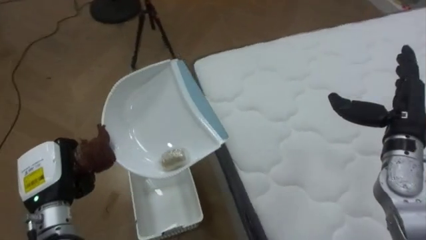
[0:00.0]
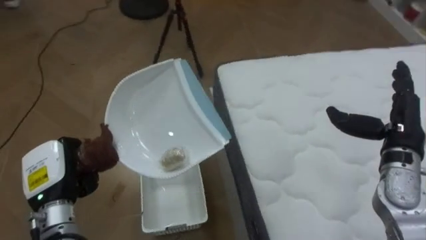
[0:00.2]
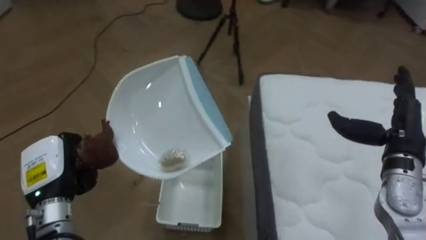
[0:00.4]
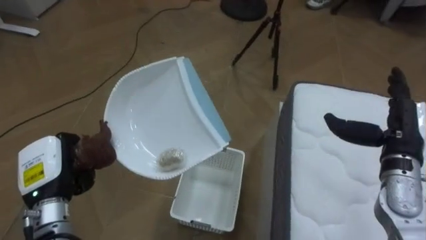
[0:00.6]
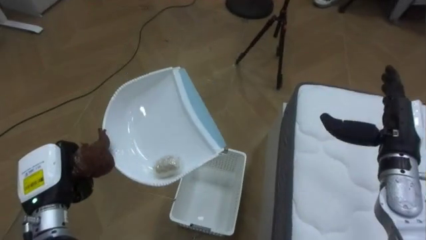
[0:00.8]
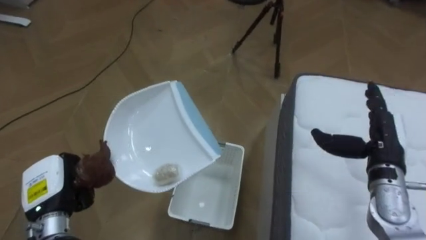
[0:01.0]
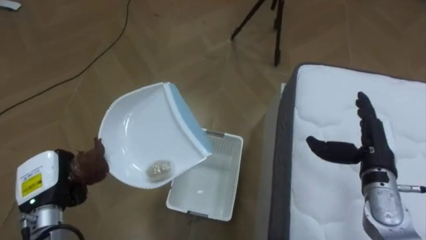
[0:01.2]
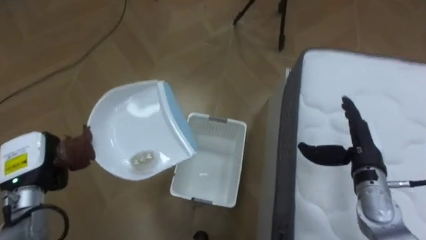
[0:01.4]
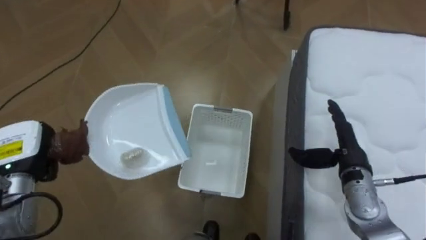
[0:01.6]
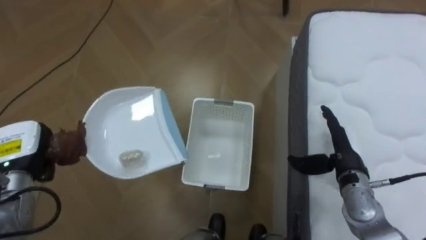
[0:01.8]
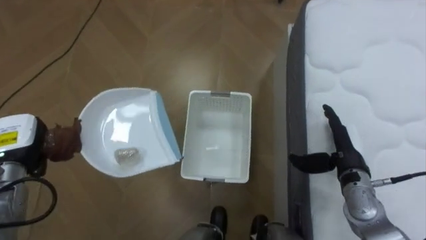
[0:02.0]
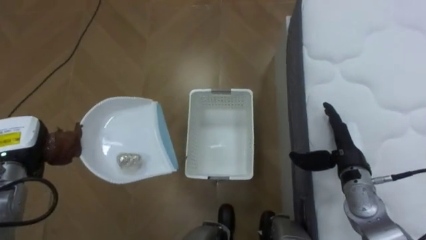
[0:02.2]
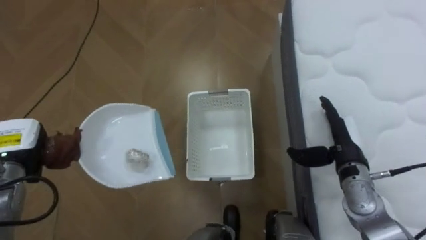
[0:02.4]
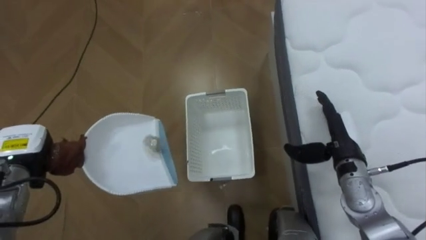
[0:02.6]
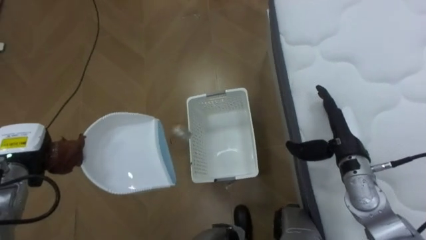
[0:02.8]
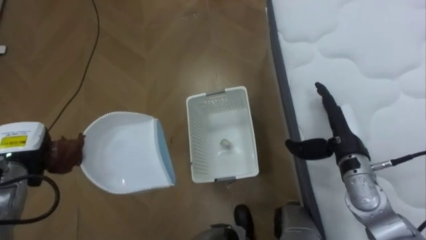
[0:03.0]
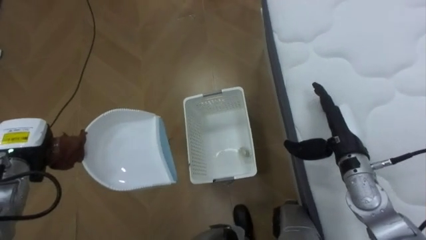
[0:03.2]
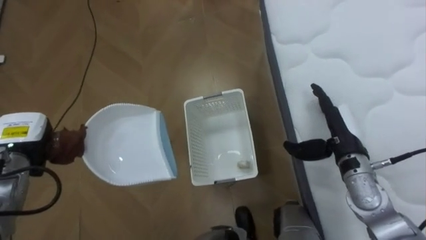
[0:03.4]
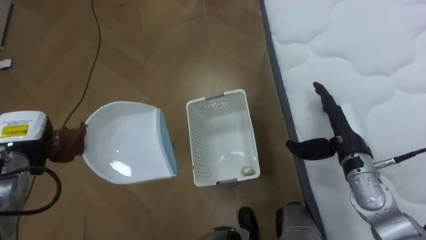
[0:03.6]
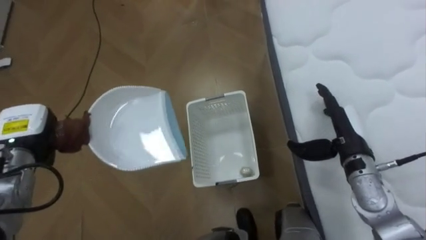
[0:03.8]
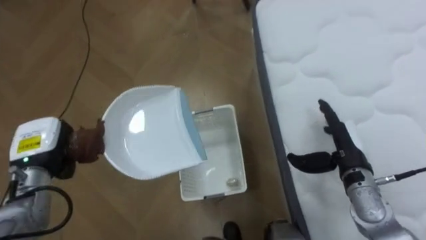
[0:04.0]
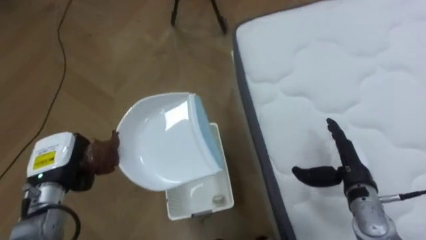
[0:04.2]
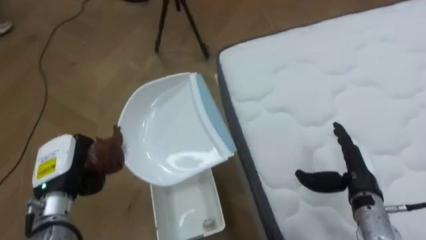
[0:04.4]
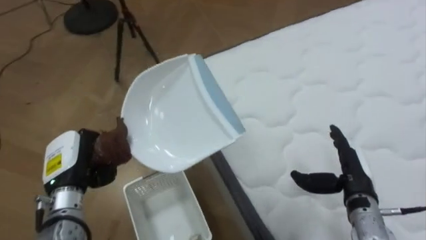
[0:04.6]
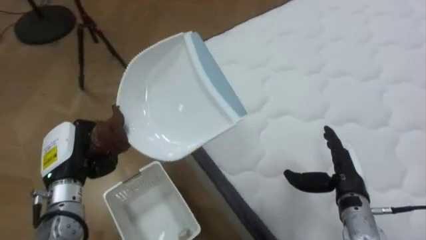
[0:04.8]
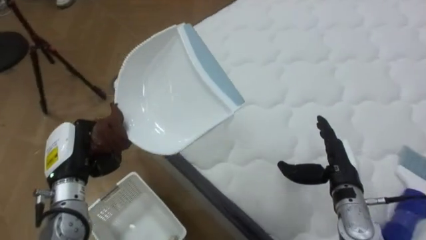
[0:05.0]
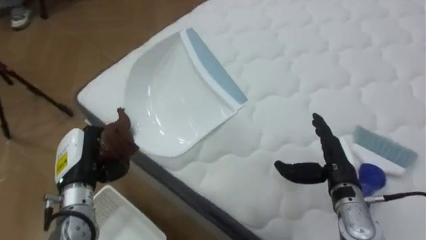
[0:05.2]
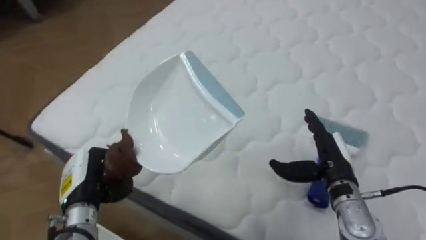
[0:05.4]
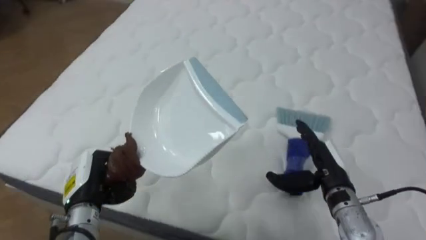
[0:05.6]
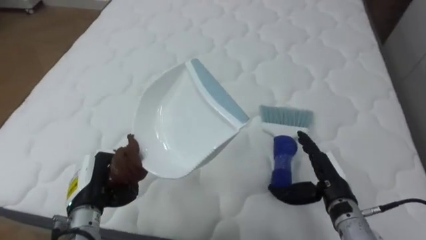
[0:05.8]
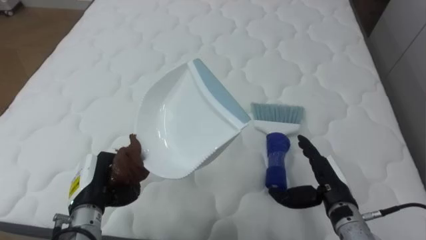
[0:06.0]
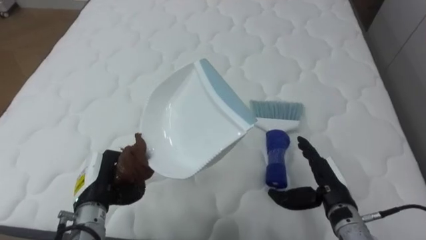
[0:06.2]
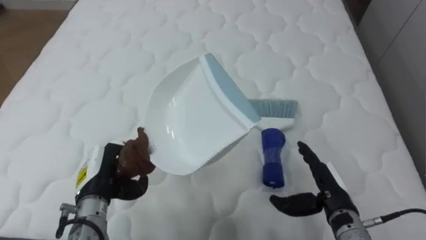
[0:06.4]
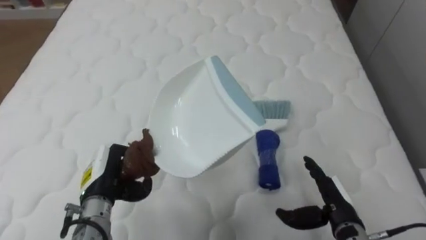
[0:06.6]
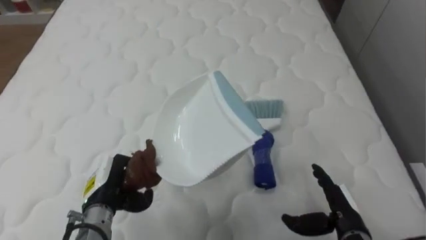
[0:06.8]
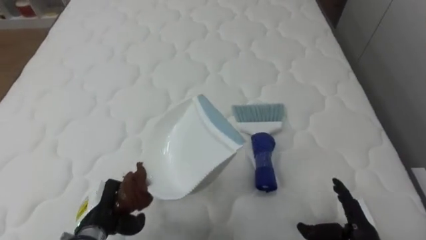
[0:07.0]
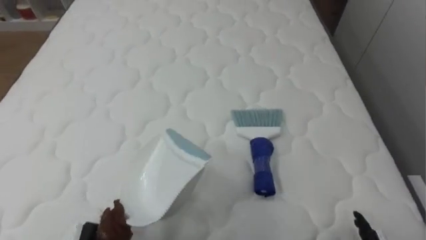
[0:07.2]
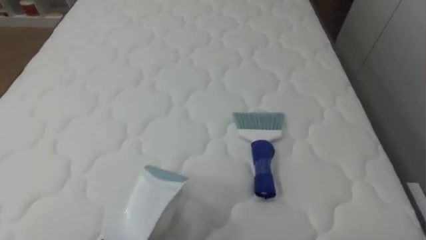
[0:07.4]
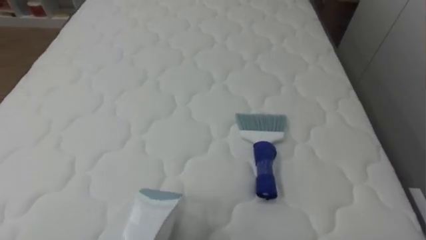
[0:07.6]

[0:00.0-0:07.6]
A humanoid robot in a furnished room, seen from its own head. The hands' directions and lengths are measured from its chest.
Task of the whole recording: Pick up the brush on your right and the dustpan on your left. Use the brush to sweep the crumpled paper on the bed into the dustpan, then turn left and empty it into the basket.
0:00.0 to 0:01.6: The robot's body swings some 35 degrees to its left. The left hand is displaced to the left and forward by approximately 10 cm, while the right hand moves downward and to the left, some 10 cm.
0:03.0 to 0:04.6: The robot faces some 35 degrees further to its right. The left hand is displaced to the right by about 10 cm; the right hand is displaced backward by about 5 cm.
0:04.6 to 0:06.0: The robot faces approximately 55 degrees further to its right. The left hand changes place by about 5 cm.

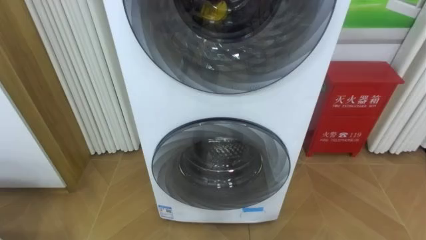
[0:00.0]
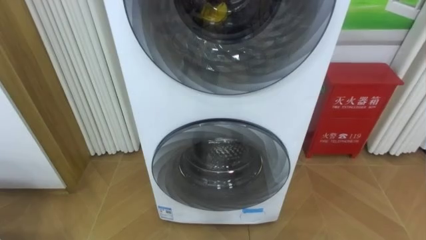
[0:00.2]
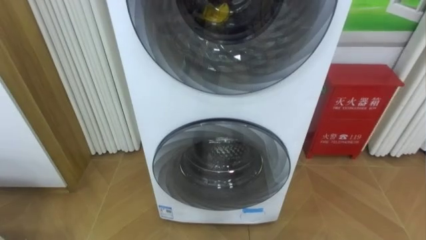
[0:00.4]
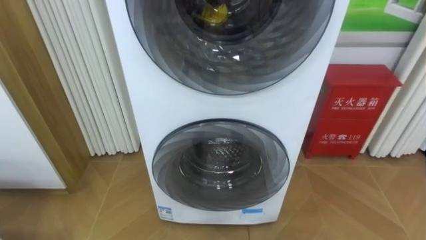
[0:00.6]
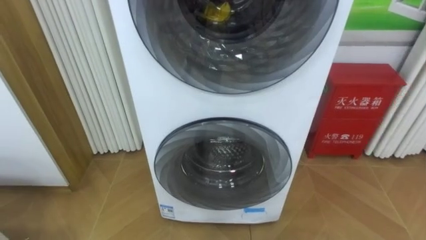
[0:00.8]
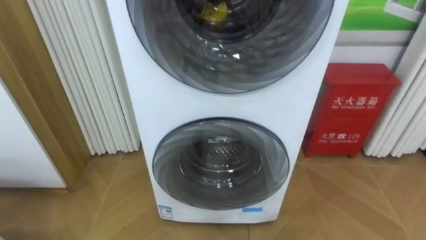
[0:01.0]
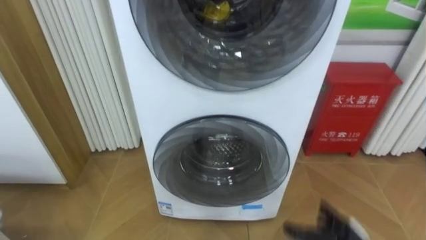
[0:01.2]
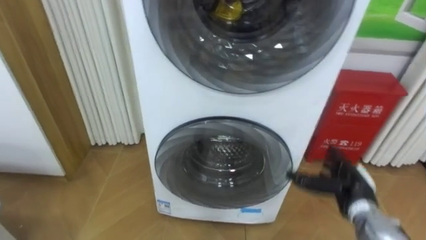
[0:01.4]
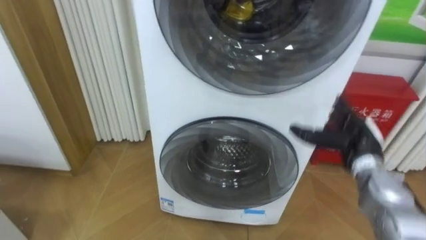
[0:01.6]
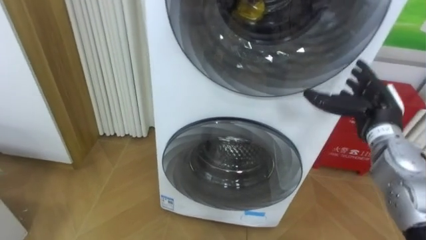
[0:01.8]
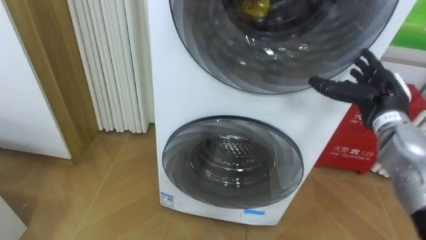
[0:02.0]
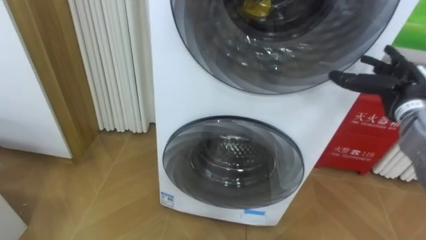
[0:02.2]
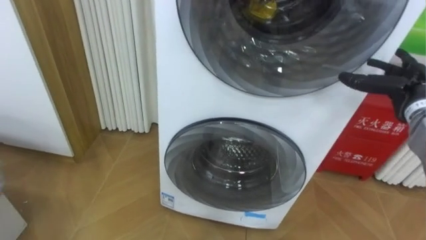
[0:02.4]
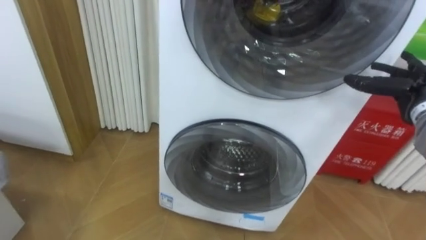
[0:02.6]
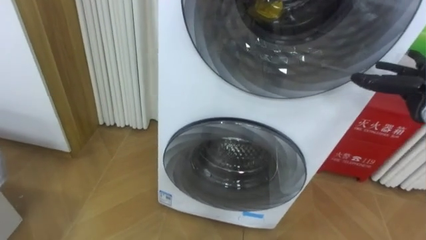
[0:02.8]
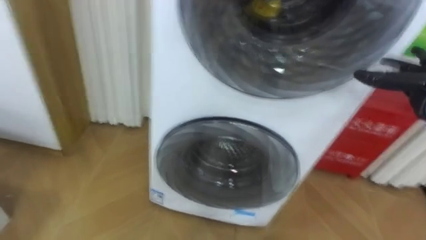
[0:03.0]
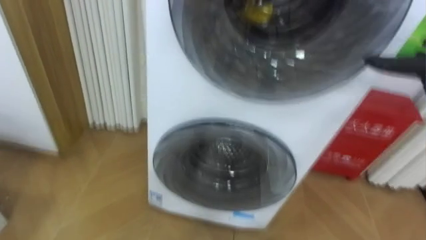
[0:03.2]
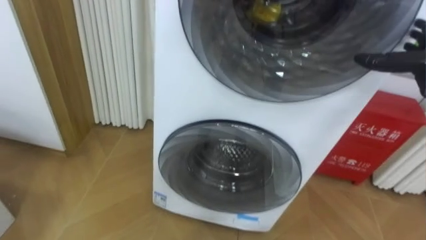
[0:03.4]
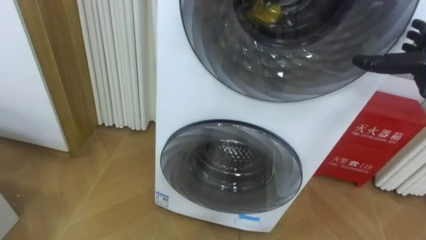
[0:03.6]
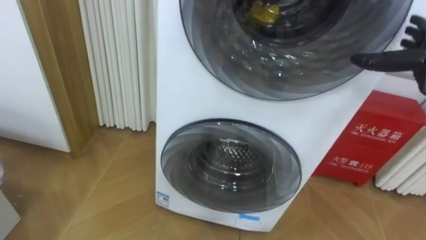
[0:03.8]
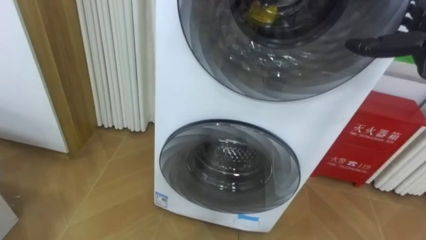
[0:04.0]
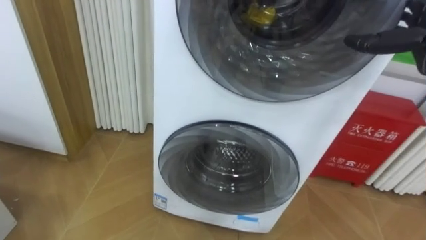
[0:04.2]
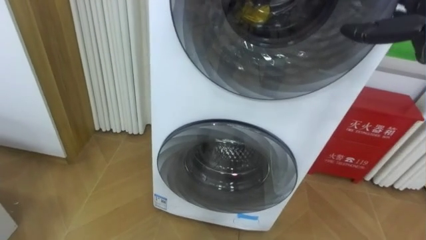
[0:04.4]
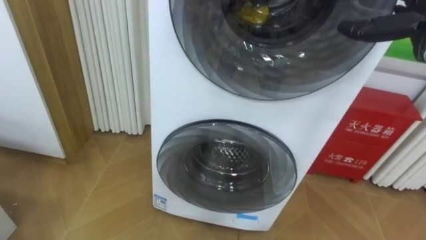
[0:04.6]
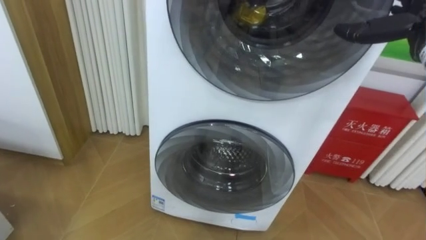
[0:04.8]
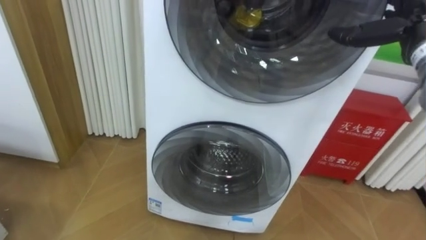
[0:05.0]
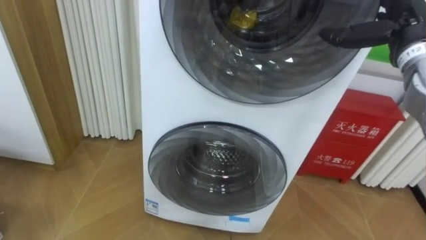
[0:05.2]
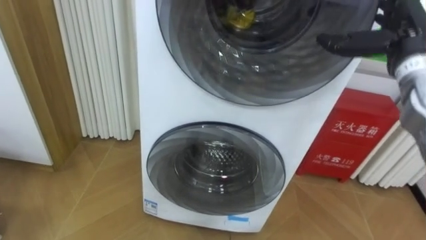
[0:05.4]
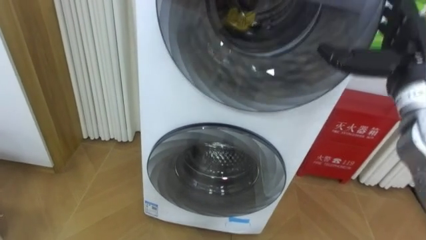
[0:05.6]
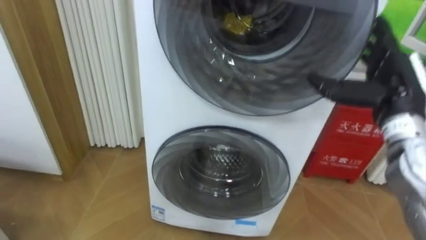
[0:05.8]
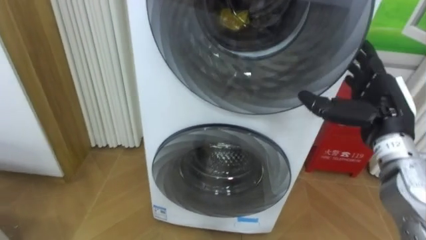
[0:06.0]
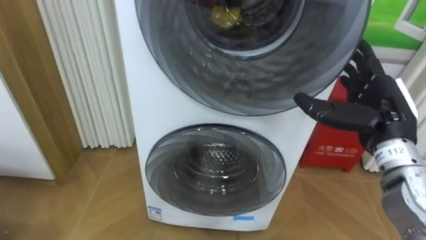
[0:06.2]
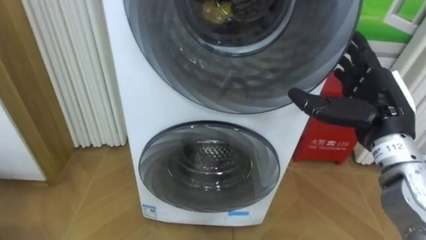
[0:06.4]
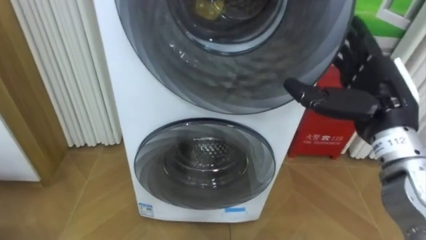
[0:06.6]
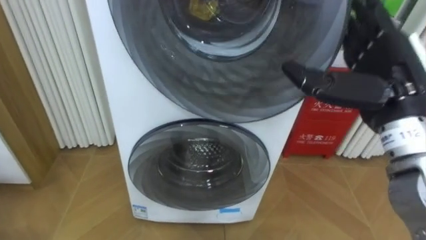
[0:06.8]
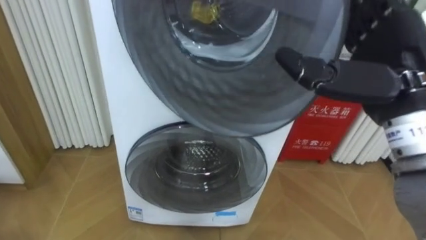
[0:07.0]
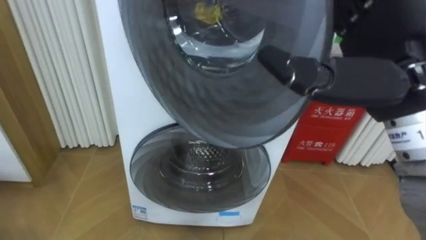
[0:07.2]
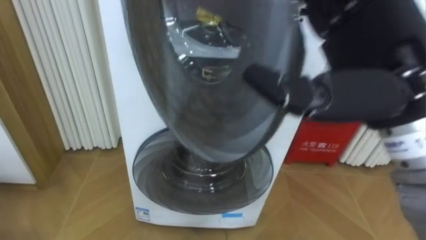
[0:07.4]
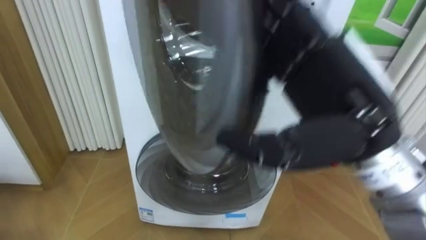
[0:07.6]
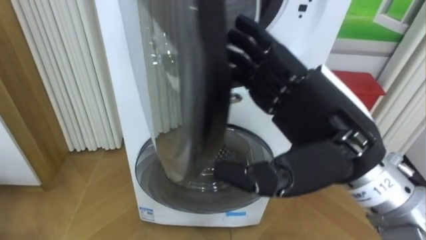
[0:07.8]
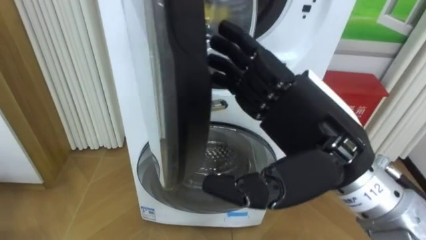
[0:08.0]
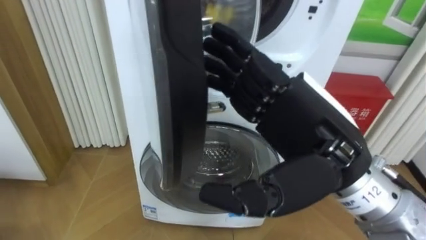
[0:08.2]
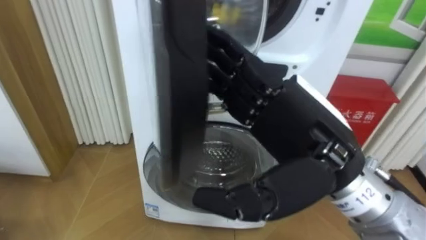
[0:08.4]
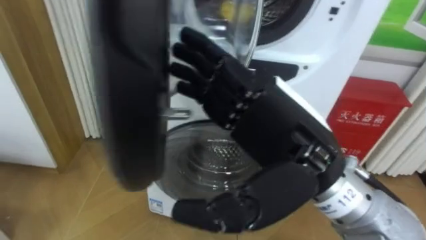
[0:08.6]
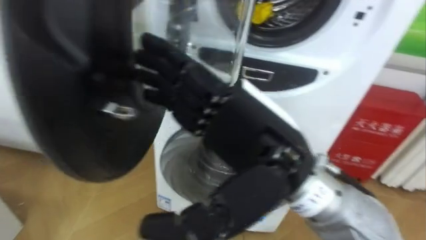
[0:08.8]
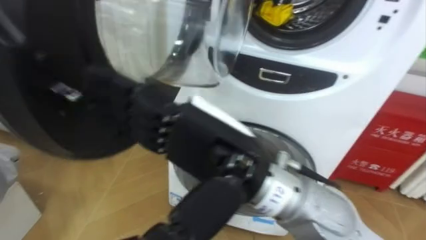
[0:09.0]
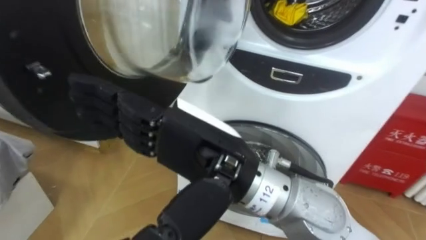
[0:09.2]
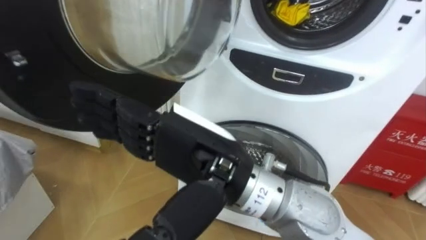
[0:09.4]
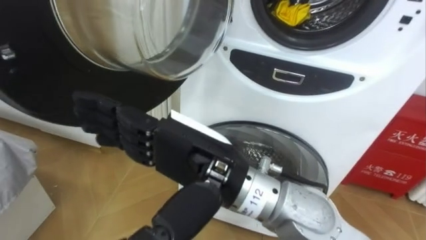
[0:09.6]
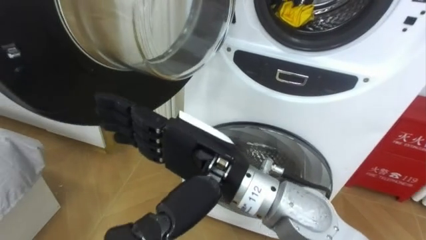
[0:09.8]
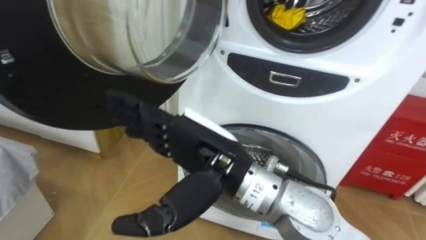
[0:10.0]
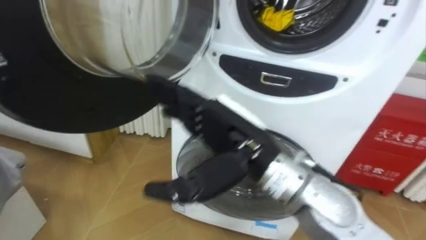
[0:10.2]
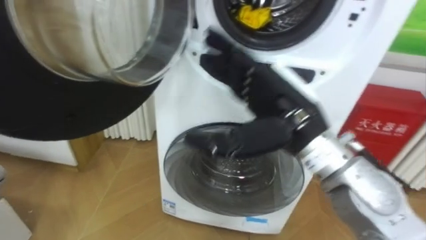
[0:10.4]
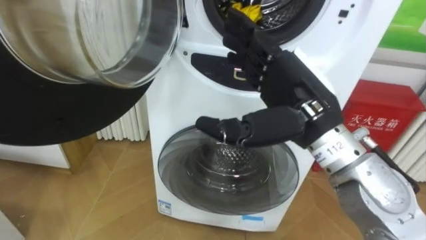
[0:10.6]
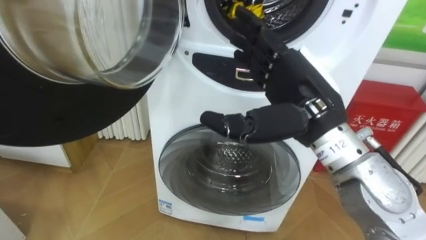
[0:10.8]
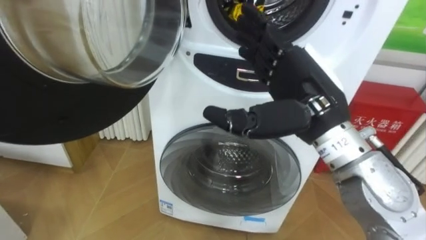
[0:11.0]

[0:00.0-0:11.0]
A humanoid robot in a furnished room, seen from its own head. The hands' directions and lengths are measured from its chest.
Task of the whole recording: Open the washing machine door, take out the yellow clothes, place them in the box on the right, and close the washing machine door.
0:04.8 to 0:06.2: The right hand travels downward, backward and to the left by approximately 15 cm.
0:06.2 to 0:07.8: The right hand moves to the left, backward and upward, approximately 15 cm.
0:07.8 to 0:09.4: The right hand goes approximately 15 cm to the left.
0:09.4 to 0:11.0: The right hand travels to the right and forward by roughly 15 cm.
